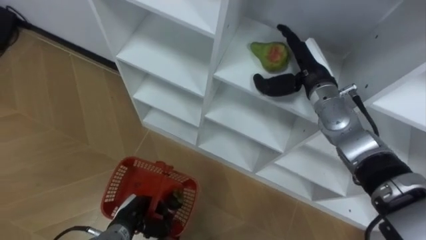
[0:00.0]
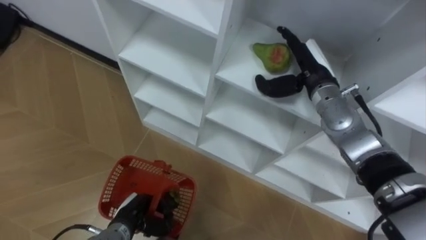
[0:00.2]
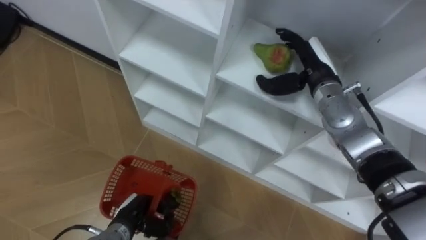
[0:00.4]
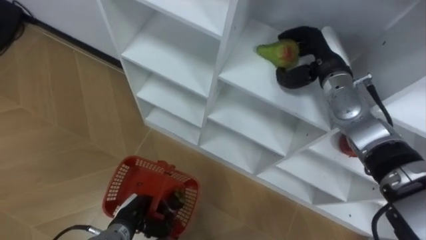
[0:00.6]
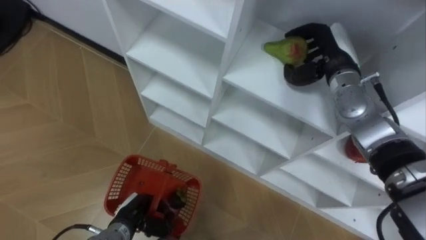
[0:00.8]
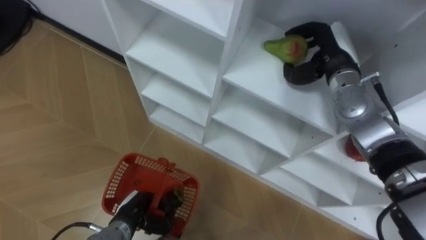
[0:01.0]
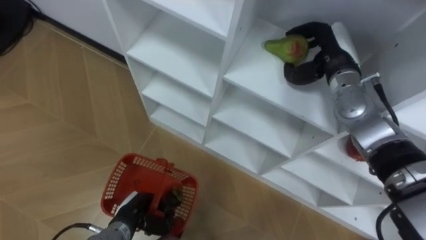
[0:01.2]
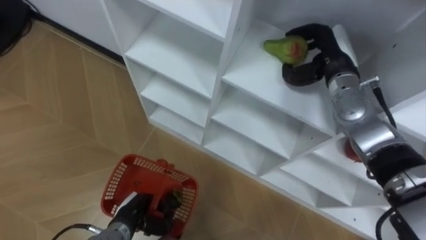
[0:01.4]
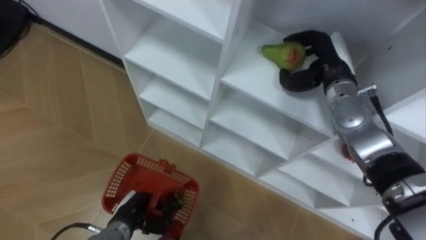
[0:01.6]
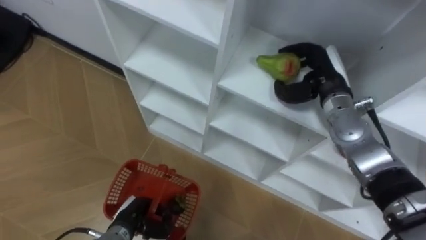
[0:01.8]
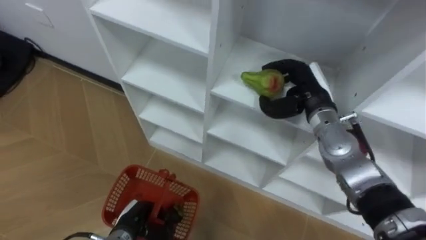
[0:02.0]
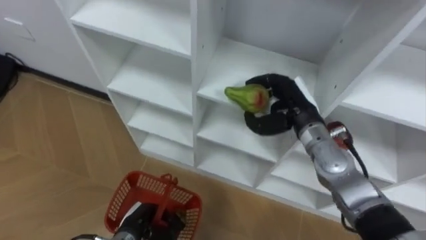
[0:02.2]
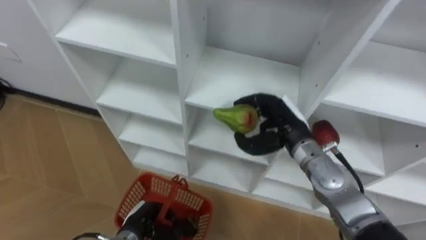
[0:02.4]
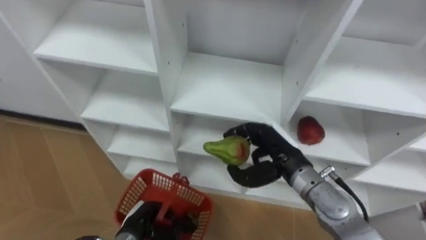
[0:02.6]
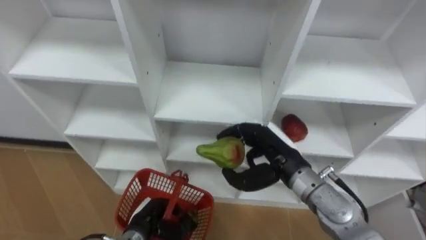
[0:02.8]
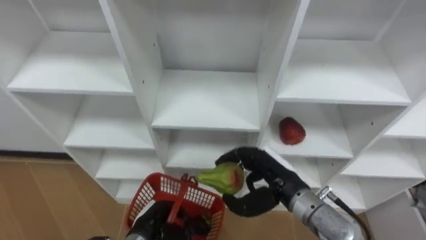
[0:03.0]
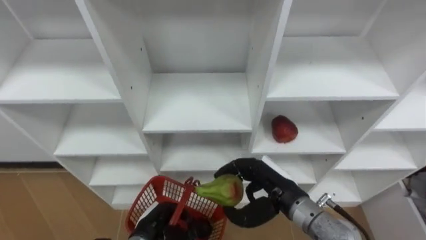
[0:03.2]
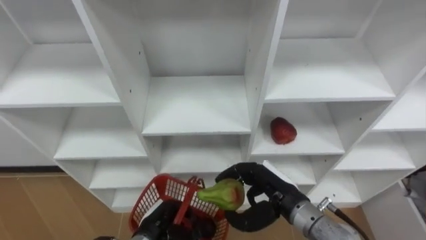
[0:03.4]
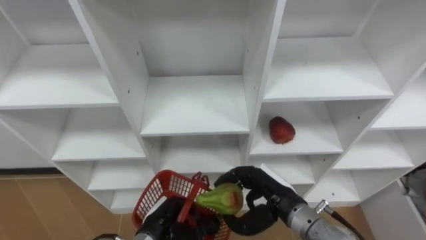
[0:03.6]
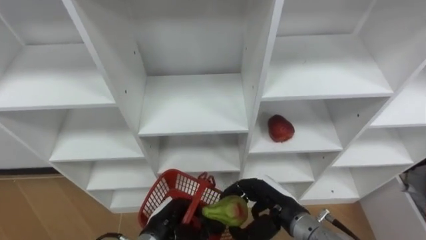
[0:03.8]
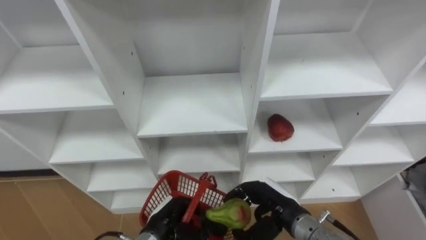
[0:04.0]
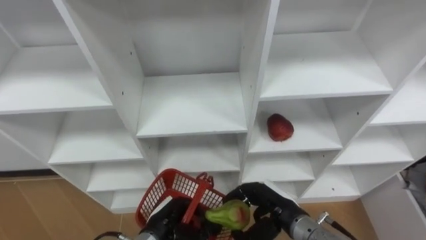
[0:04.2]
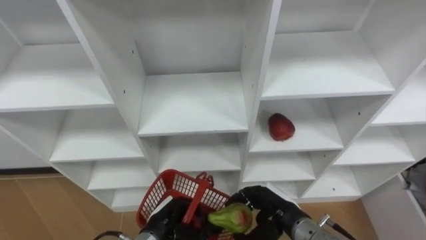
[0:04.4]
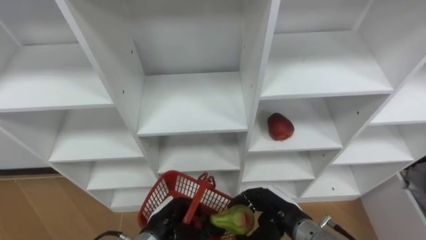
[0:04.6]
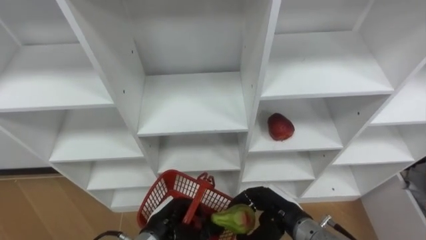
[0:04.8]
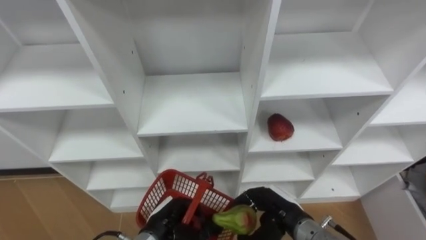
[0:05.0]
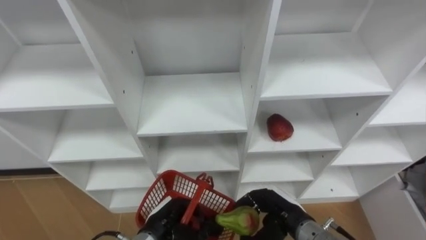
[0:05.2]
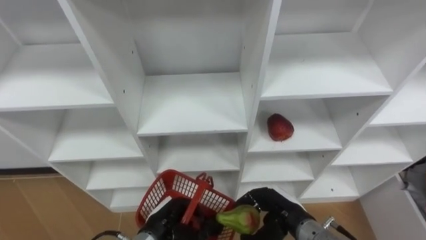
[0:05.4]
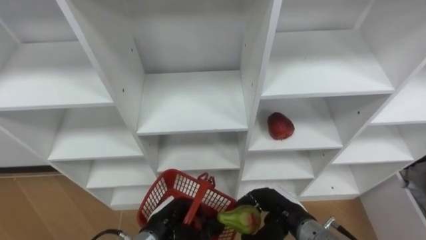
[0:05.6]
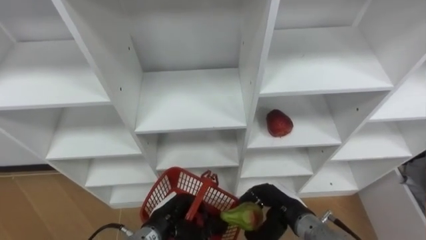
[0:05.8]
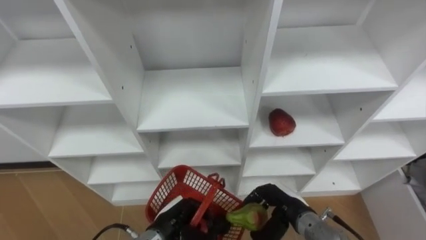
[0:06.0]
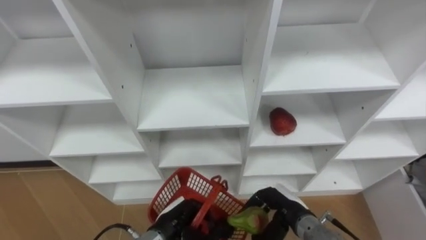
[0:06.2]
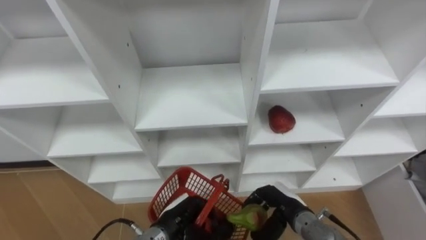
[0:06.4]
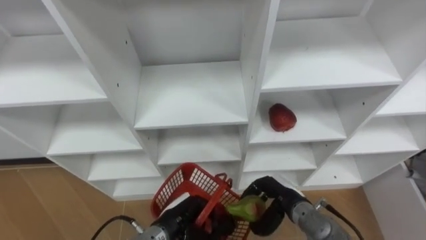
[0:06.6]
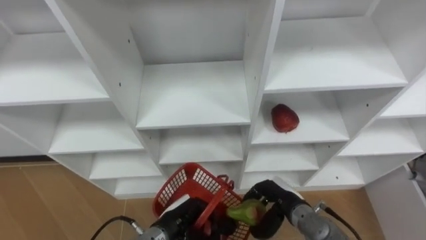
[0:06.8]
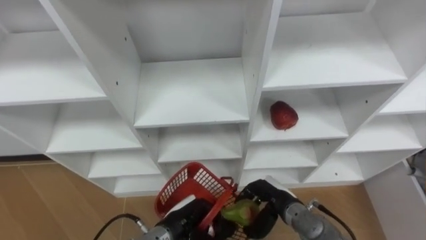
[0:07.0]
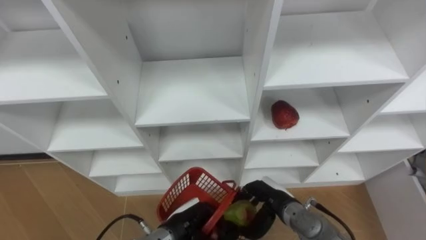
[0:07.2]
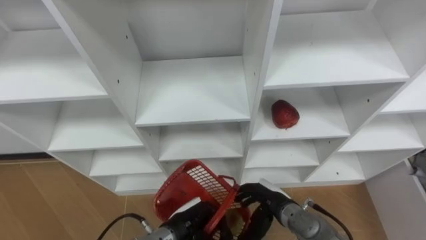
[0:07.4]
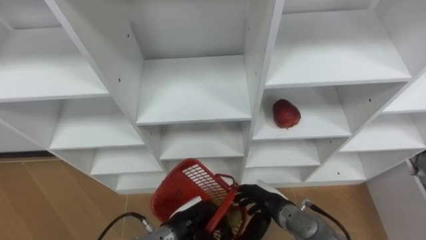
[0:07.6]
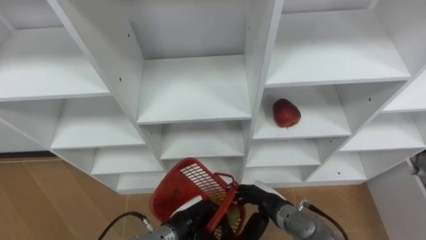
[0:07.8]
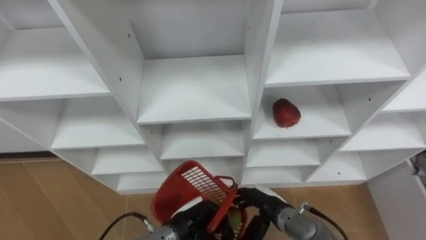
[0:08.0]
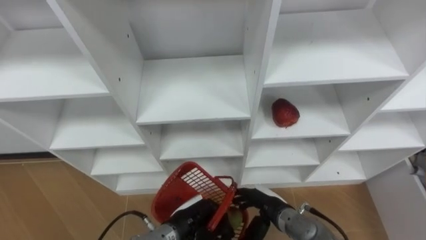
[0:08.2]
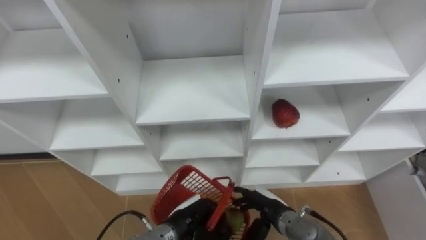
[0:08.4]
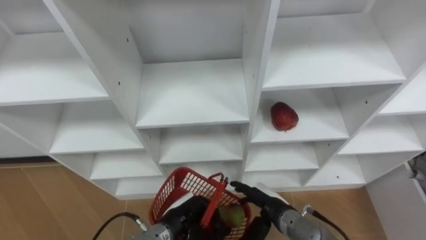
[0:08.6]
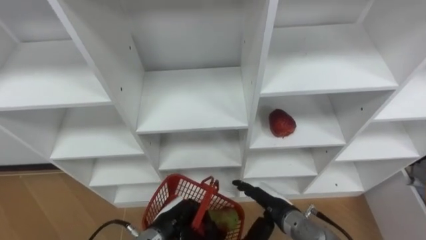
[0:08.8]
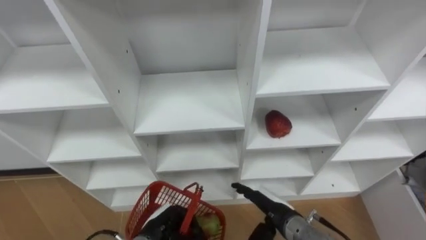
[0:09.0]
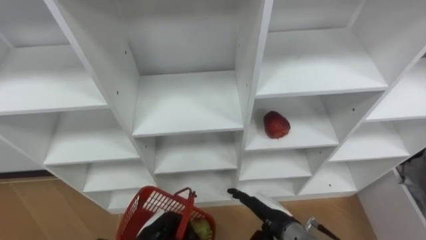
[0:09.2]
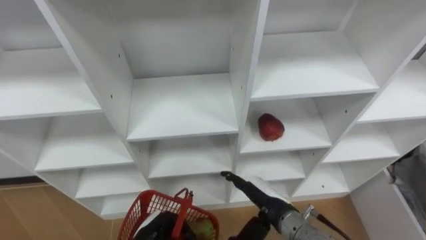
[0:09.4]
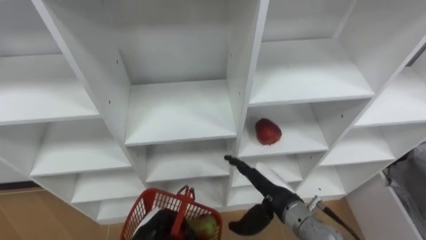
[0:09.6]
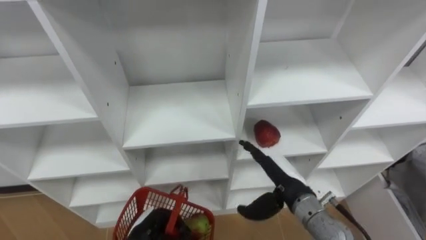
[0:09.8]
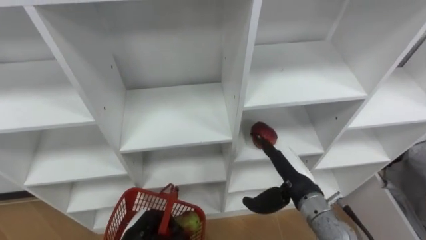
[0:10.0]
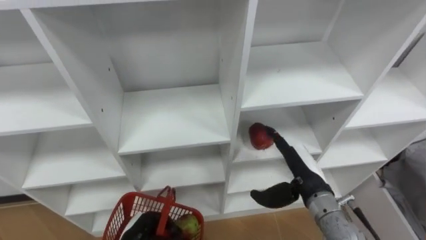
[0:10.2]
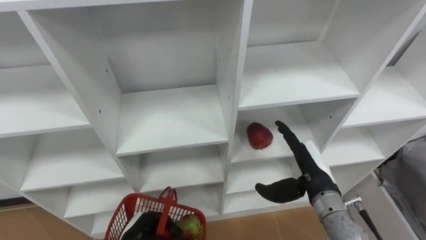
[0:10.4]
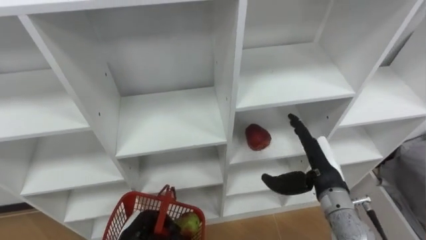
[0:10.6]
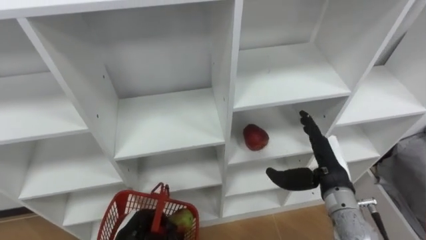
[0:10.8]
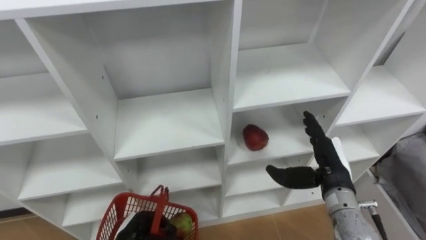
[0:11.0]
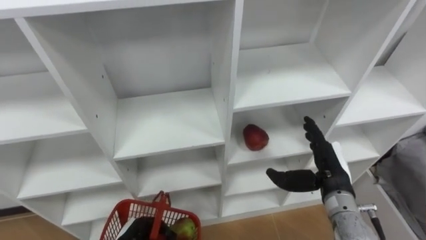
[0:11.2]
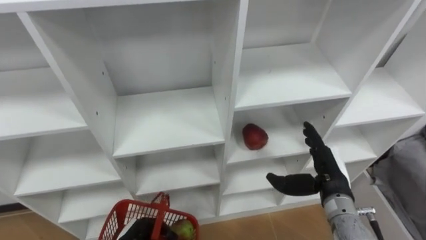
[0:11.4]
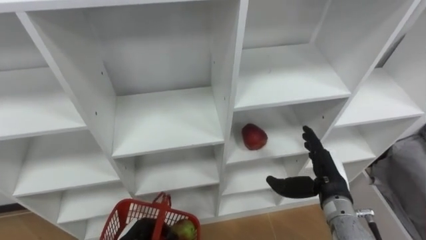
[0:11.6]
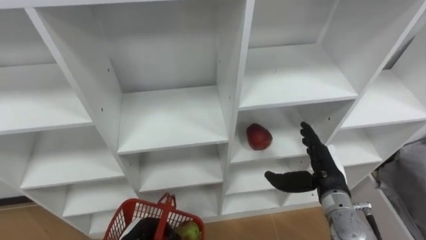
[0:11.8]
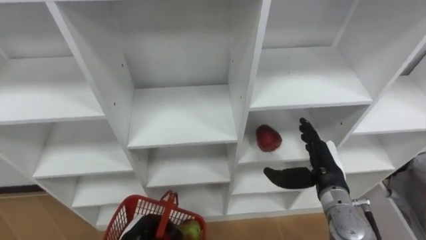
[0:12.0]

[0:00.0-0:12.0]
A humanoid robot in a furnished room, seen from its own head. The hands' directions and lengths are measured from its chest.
Task of the whole recording: Hold the basket and collect the fruits from 3 different cells of the closet into it.
0.0 to 1.6 s: The right hand closes its fingers.
1.6 to 3.0 s: The right hand heads backward, downward and to the left, covering roughly 20 cm.
3.0 to 4.4 s: The right hand shifts about 10 cm downward.
6.0 to 7.6 s: The right hand opens up.
7.6 to 9.0 s: The left hand is displaced to the left by roughly 5 cm.
9.0 to 10.4 s: The left hand travels to the left by some 5 cm; the right hand heads upward and to the right, covering about 10 cm.

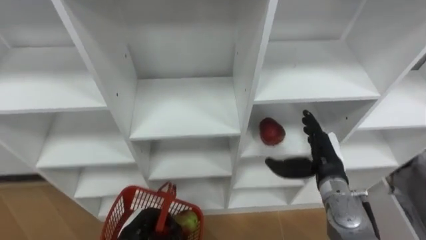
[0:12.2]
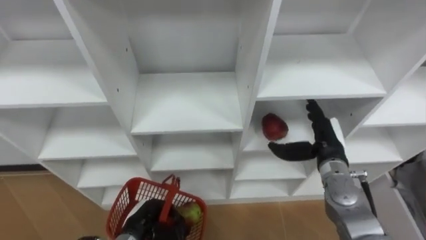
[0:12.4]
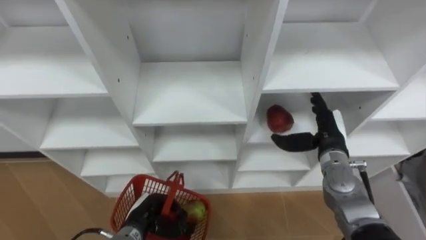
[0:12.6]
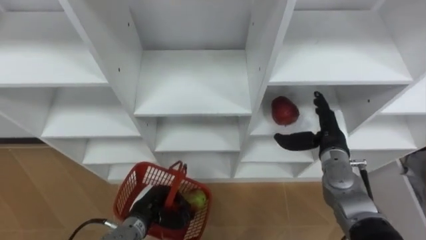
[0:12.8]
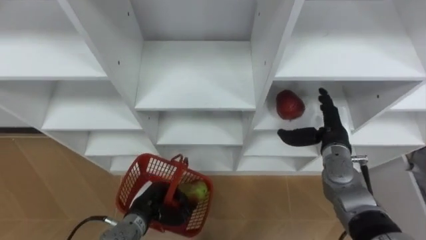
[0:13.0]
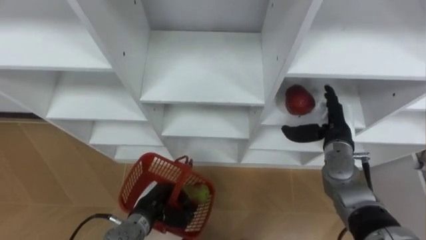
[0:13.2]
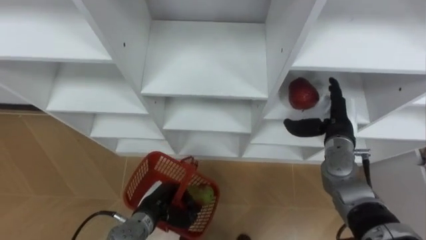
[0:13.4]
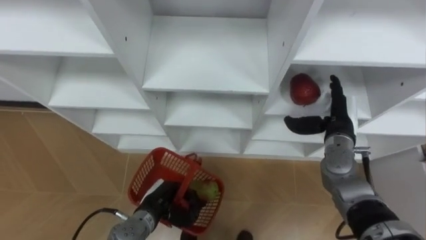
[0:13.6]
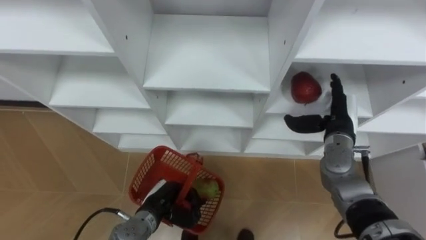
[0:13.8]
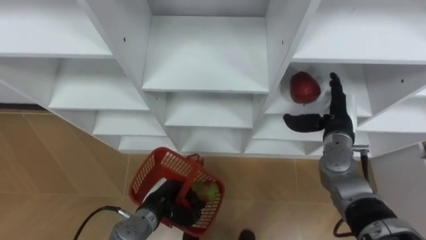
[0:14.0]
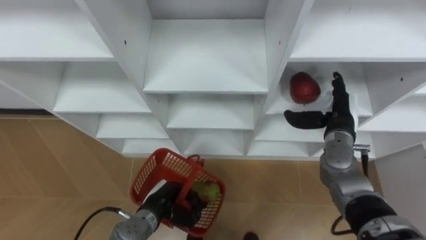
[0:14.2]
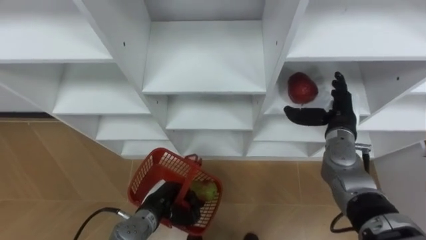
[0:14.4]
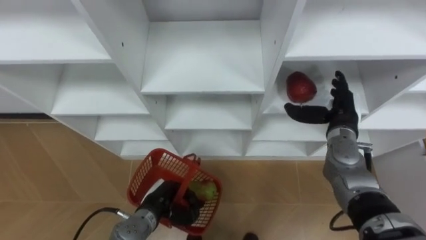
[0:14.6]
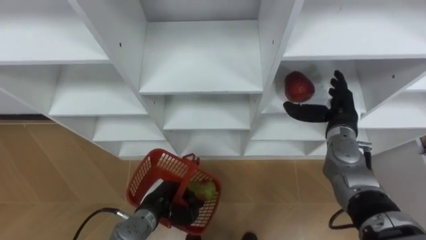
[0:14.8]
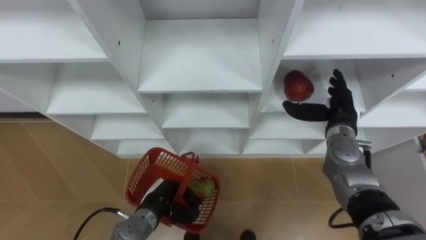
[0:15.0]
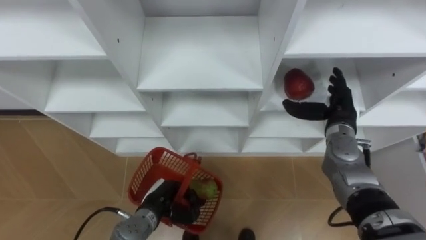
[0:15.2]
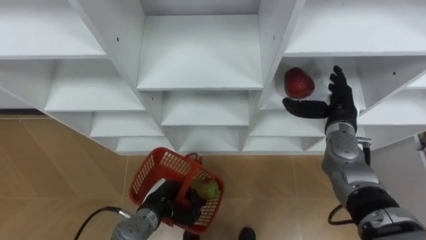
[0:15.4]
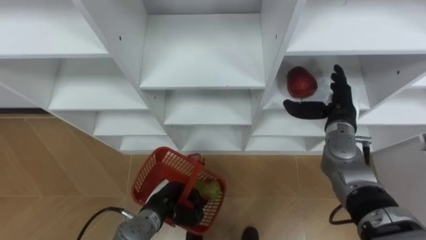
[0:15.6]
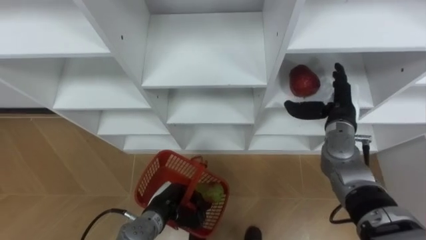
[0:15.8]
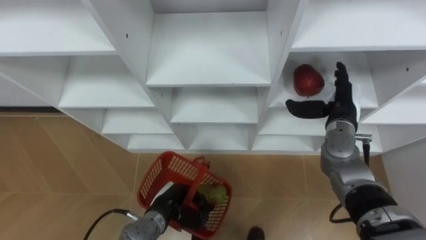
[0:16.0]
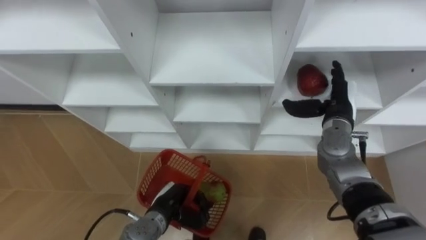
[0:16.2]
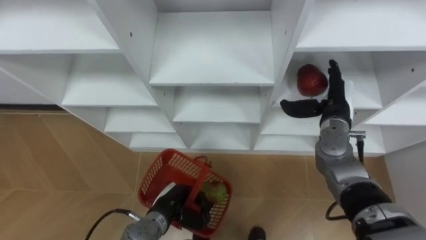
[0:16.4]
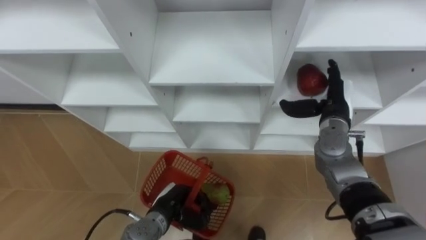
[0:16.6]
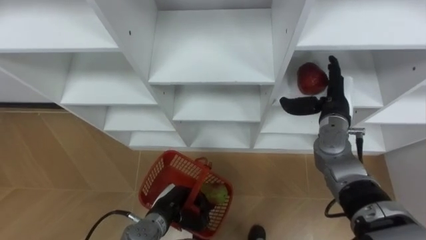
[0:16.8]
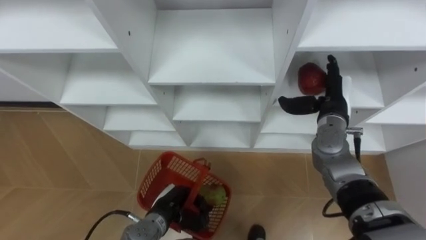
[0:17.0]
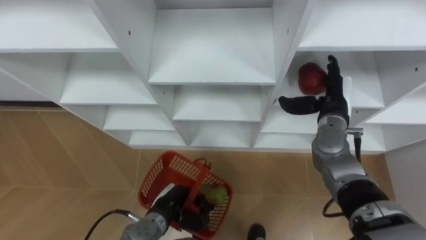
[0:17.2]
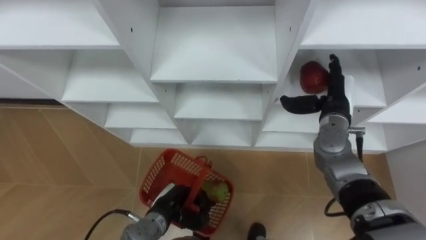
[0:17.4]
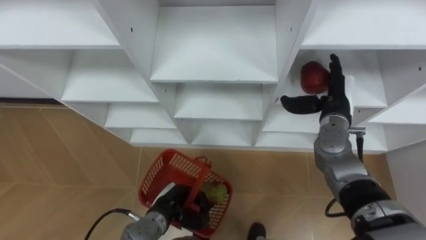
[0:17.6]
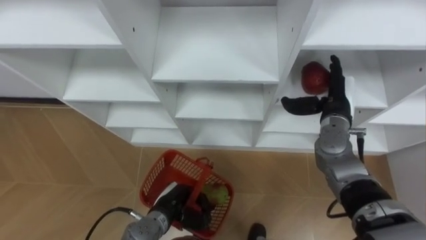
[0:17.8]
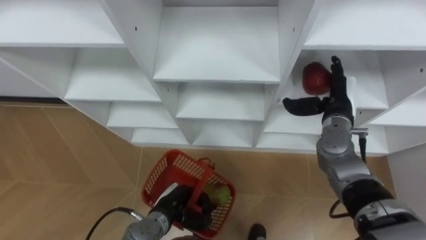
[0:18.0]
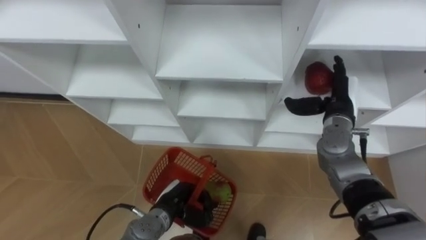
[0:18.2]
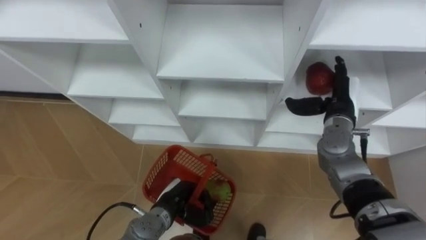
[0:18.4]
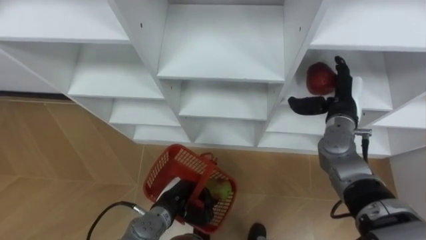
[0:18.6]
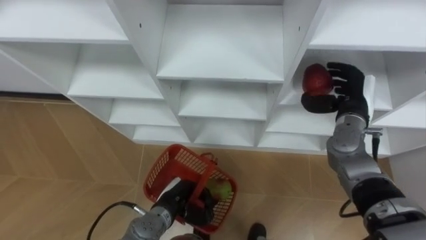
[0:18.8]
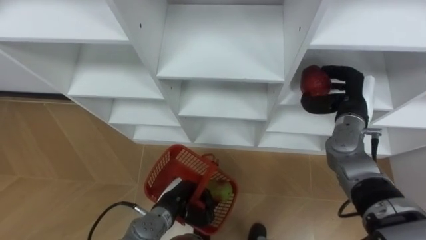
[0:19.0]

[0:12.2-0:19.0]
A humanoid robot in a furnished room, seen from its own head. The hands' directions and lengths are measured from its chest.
Task of the whole recording: Hold the basket and collect the fruits from 3 different cells of the closet into it.
12.2 to 13.6 s: The two hands go some 5 cm forward.
16.2 to 17.6 s: The hands stay close to where they were, moving slightly.
17.6 to 19.0 s: The right hand closes its fingers.
